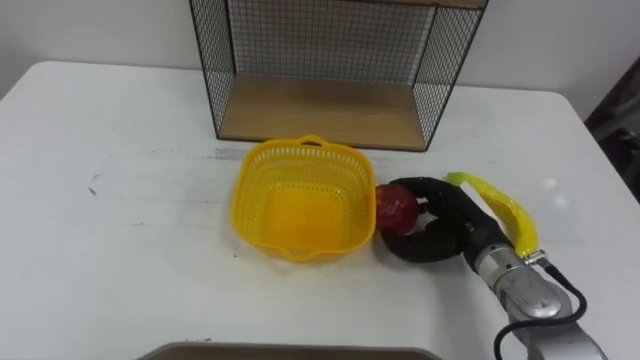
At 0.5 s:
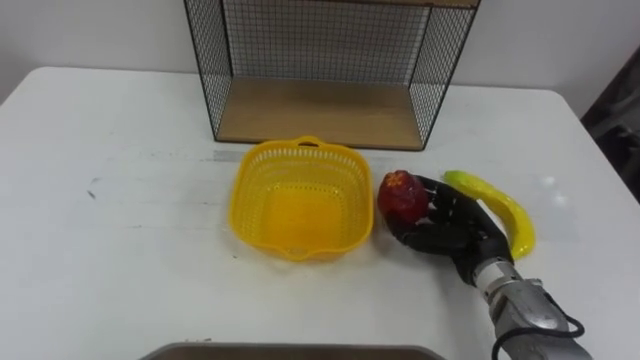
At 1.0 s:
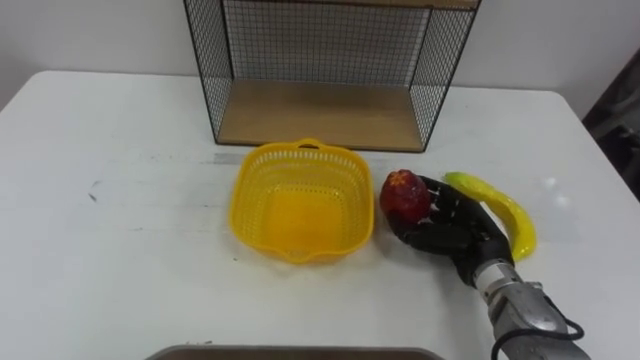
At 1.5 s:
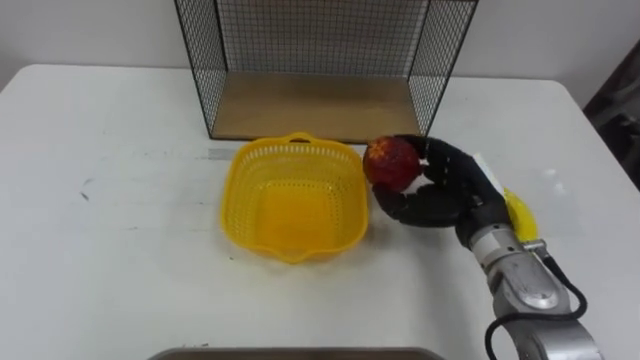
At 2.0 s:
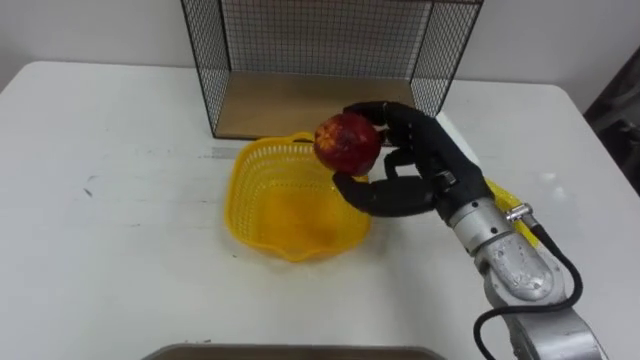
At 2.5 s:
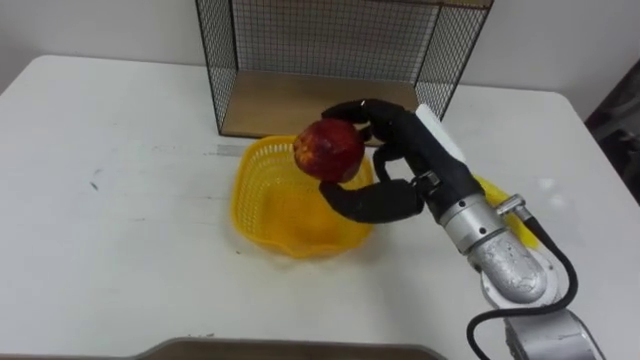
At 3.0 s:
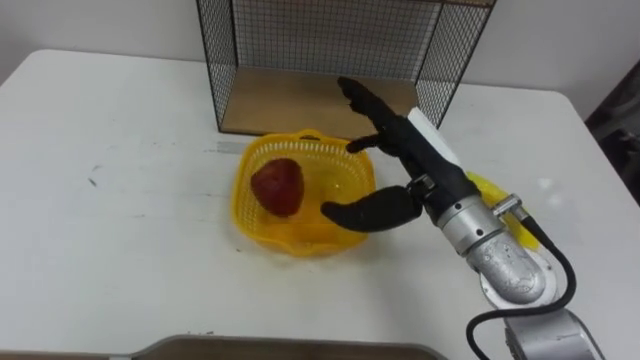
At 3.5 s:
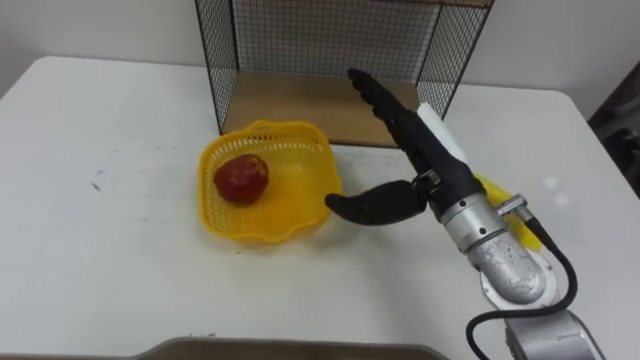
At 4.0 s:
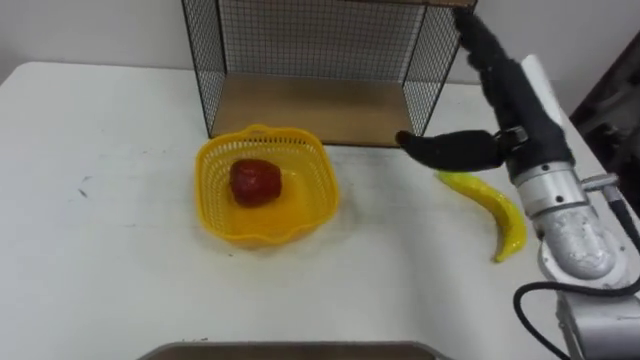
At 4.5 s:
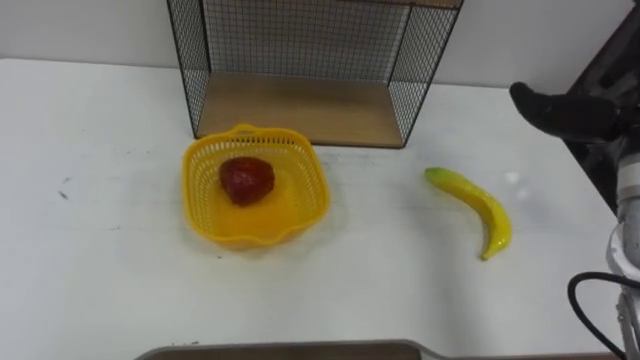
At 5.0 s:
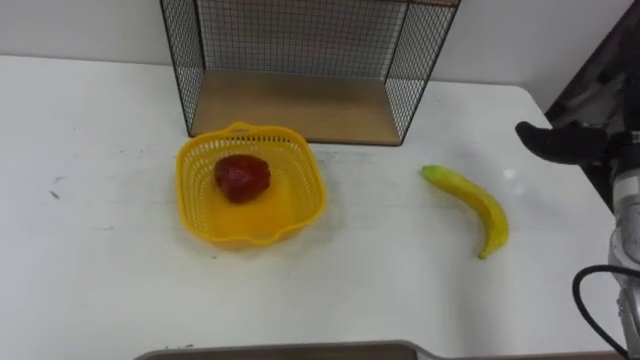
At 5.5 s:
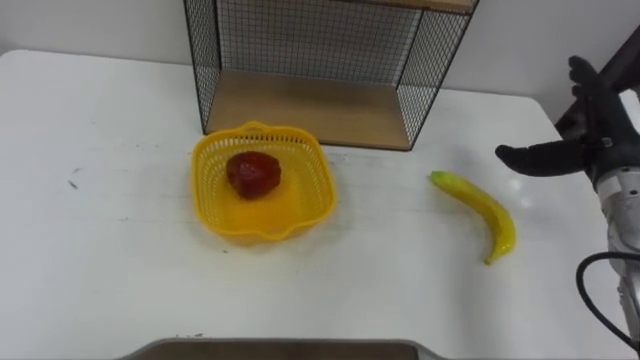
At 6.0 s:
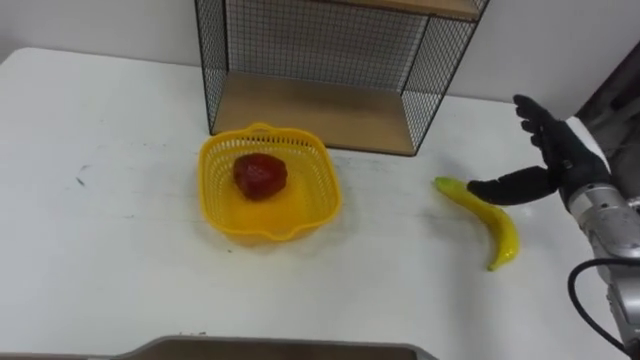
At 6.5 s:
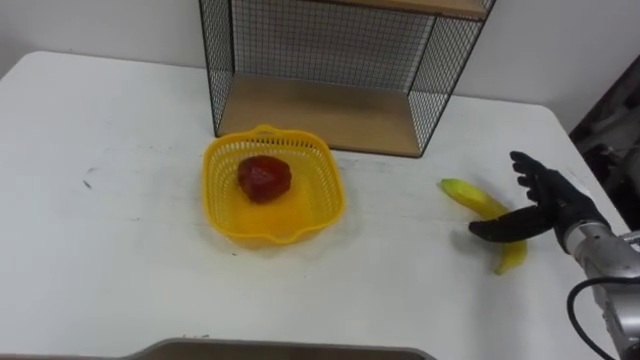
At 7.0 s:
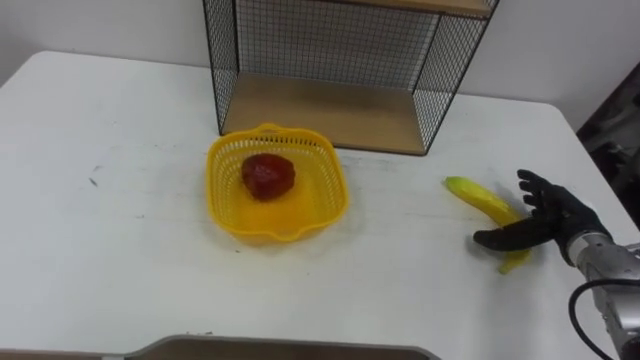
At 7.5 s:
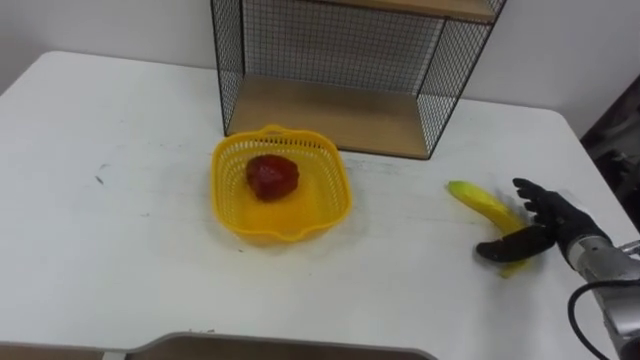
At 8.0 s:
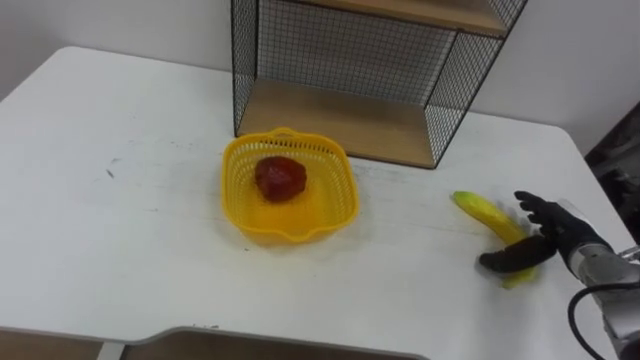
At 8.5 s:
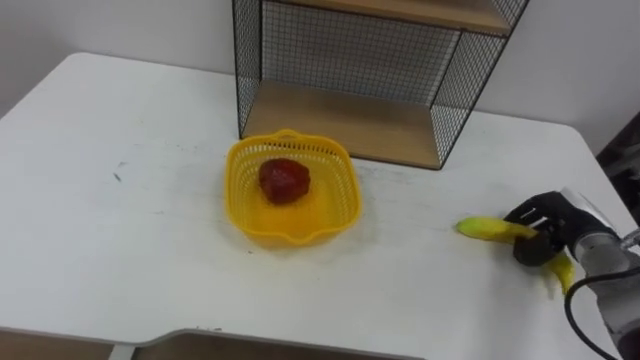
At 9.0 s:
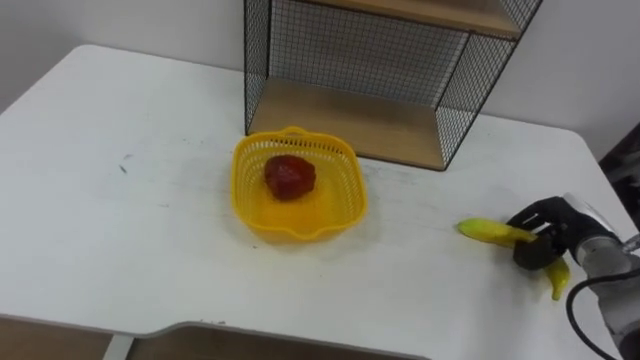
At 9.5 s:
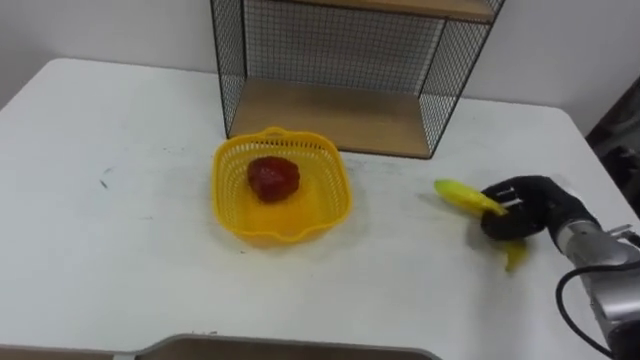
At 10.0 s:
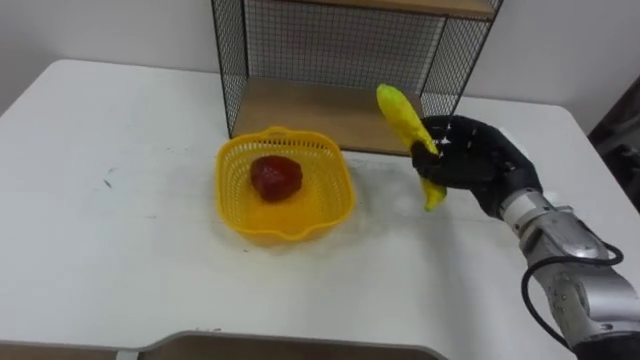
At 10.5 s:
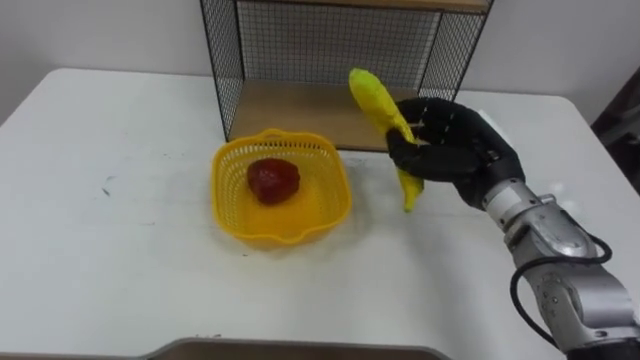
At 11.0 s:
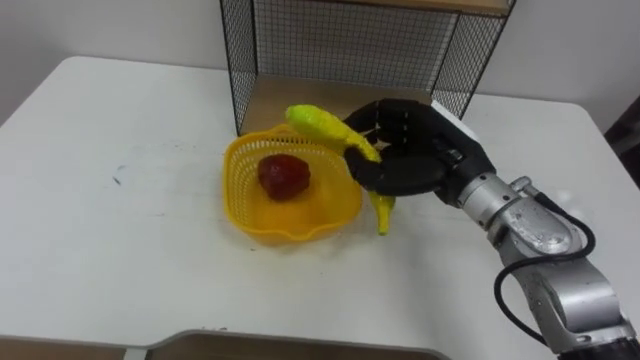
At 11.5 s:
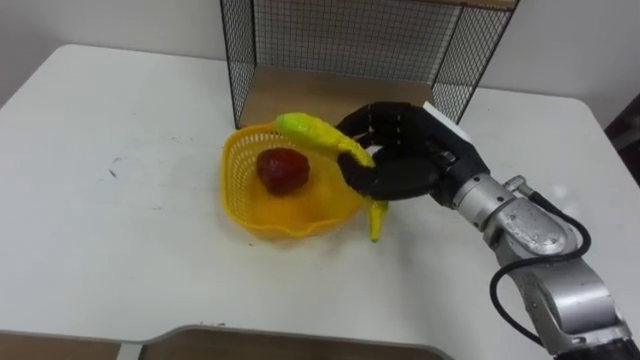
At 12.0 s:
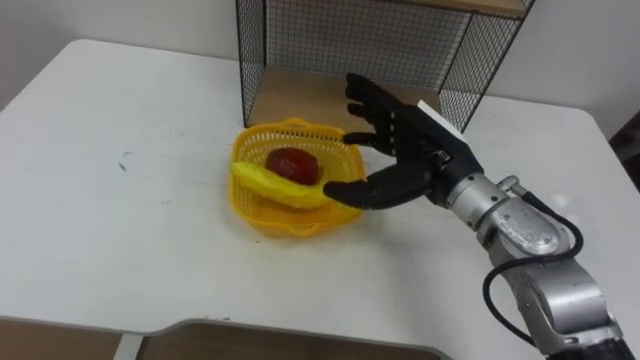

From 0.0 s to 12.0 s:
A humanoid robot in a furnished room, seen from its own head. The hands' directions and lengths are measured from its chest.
Task of the whole recording: Put the fruit on the table into the basket, then place the basket on the shelf.
From 0.0 s to 2.0 s: The right hand moves upward and to the left, roughly 15 cm.
From 2.0 s to 4.0 s: The right hand travels to the right and upward by roughly 10 cm, and opens up.
From 6.0 s to 8.0 s: The right hand shifts roughly 10 cm downward.
From 8.0 s to 10.0 s: The right hand is displaced to the left and upward by about 15 cm, and closes.
From 10.0 s to 12.0 s: The right hand shifts some 10 cm to the left and upward, and opens up.

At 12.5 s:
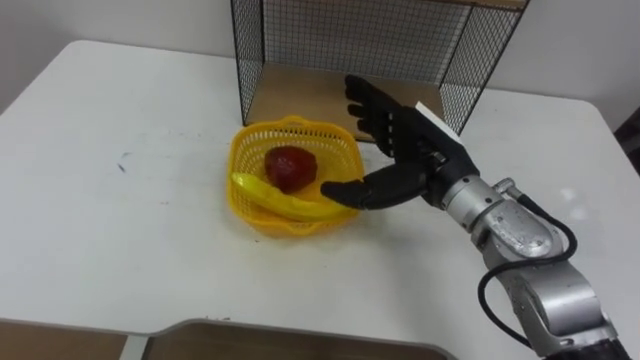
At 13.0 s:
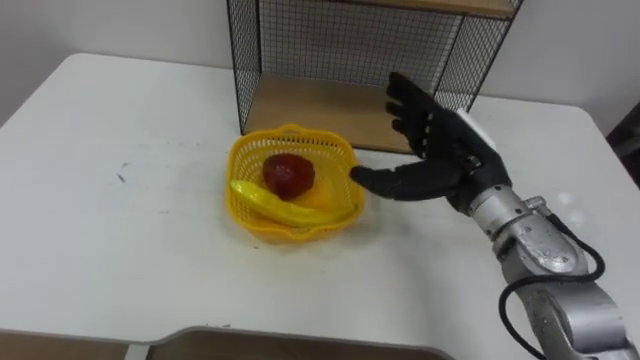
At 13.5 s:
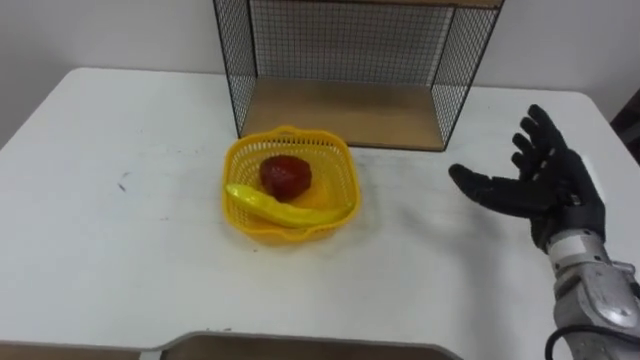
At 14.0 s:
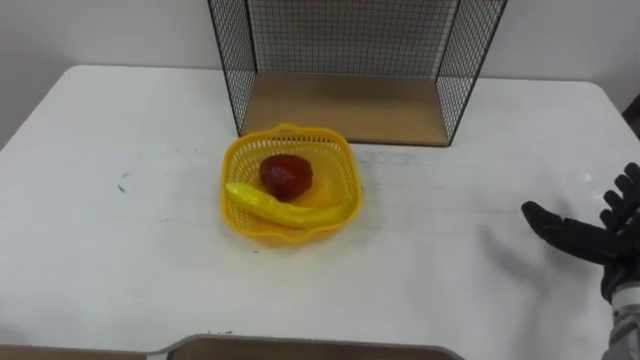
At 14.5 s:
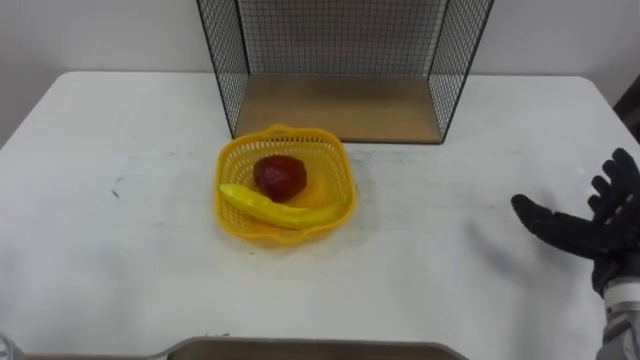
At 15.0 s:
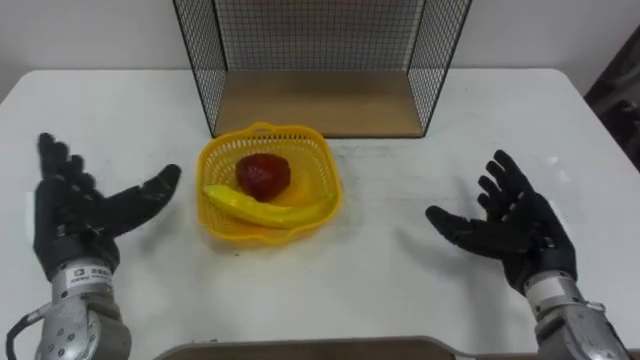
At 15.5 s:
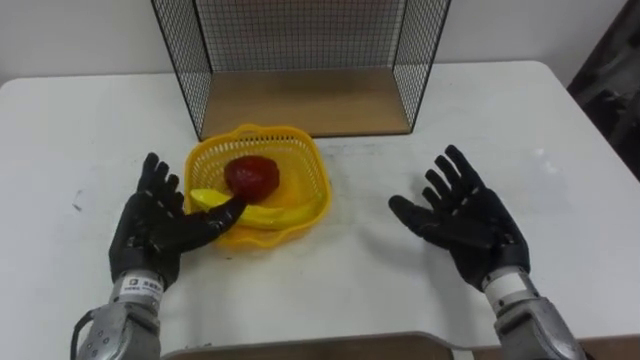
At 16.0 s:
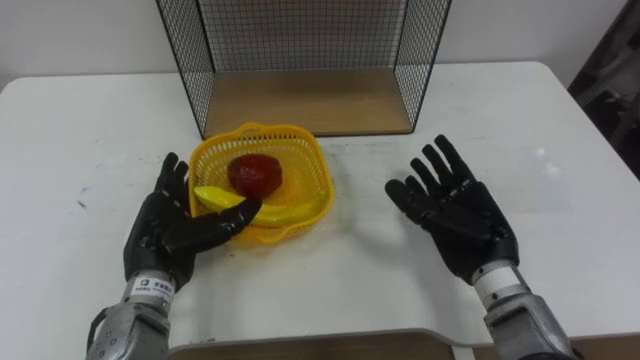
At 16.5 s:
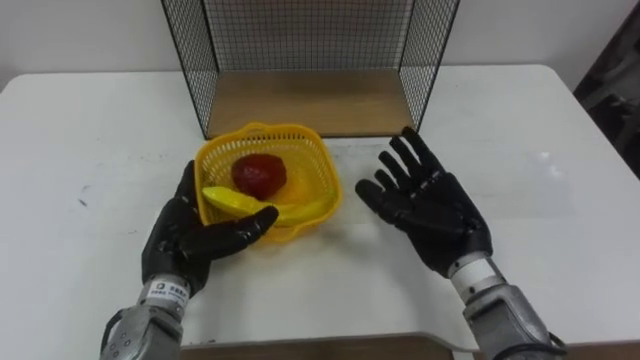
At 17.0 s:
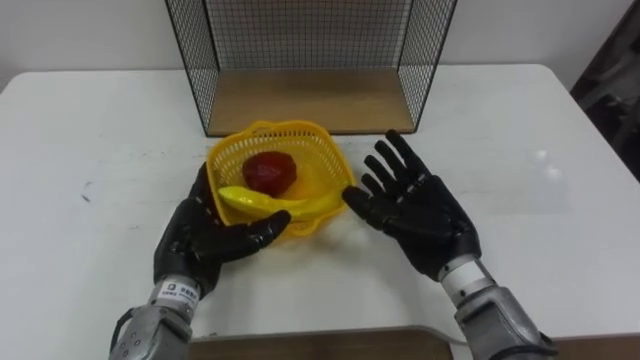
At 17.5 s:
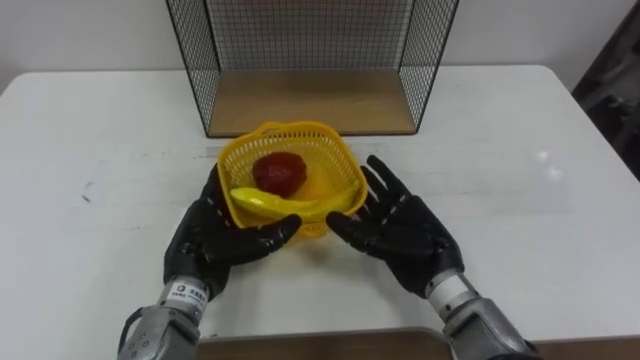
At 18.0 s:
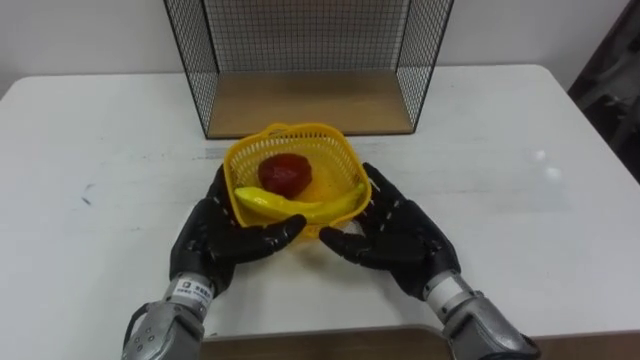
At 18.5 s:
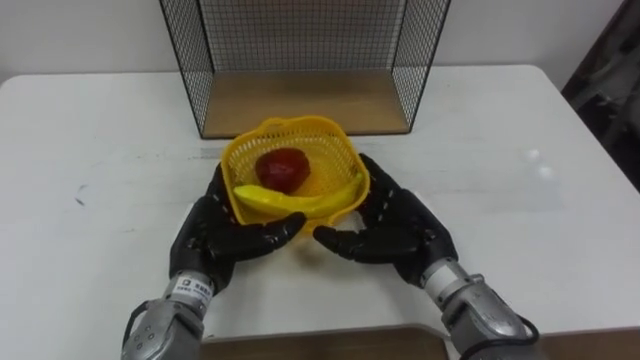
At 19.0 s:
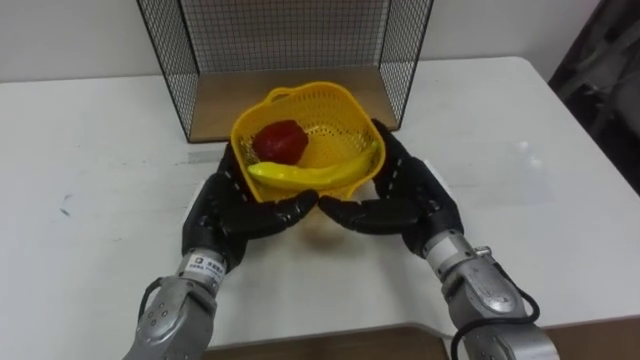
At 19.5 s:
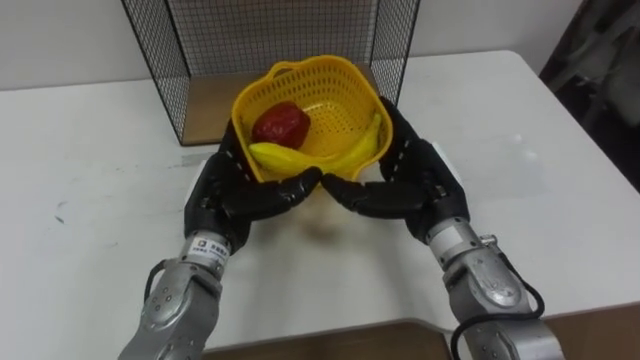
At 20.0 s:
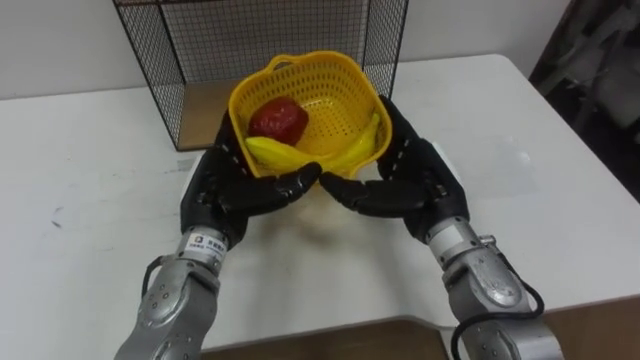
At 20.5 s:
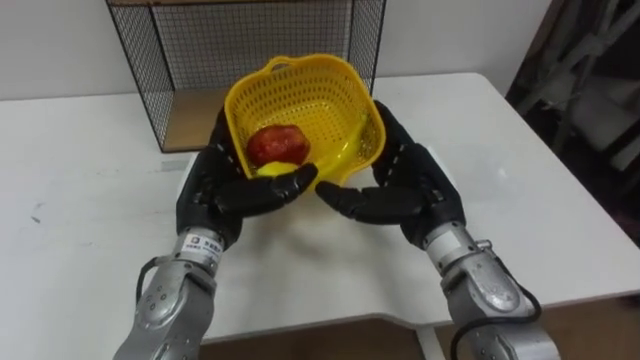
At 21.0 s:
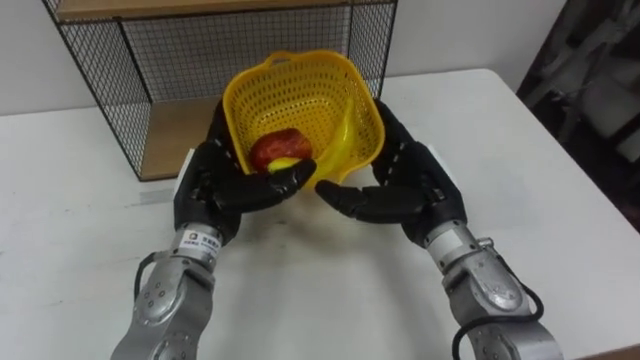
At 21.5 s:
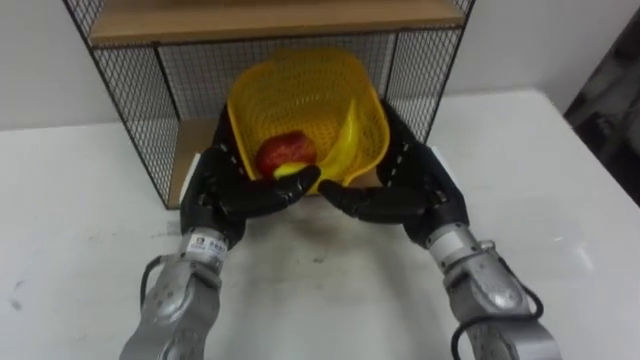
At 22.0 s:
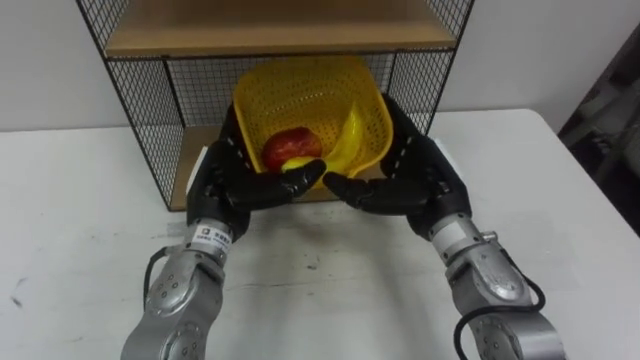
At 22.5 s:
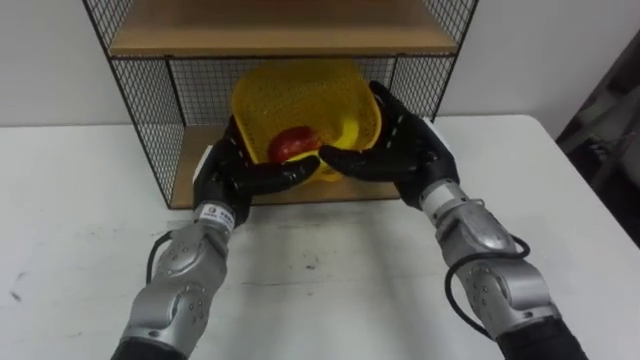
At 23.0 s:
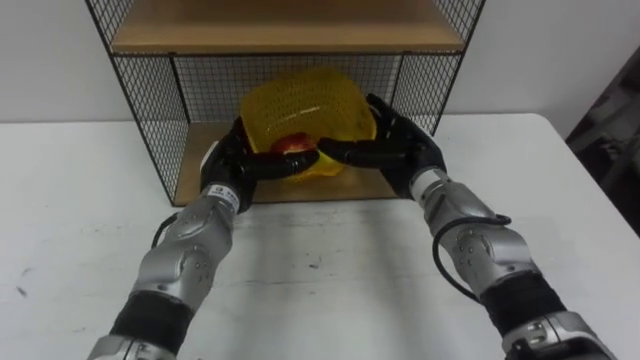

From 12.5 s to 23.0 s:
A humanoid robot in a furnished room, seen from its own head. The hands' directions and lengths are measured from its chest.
Task of the whole recording: Put the fruit on the table into the basket, then place the basket on the shelf.
From 12.5 s to 14.5 s: The right hand moves to the right and backward, some 25 cm.
From 14.5 s to 16.5 s: The right hand goes about 20 cm to the left.
From 16.5 s to 19.0 s: The left hand moves to the right, approximately 5 cm.
From 21.0 s to 23.0 s: Both hands move forward, approximately 5 cm.
